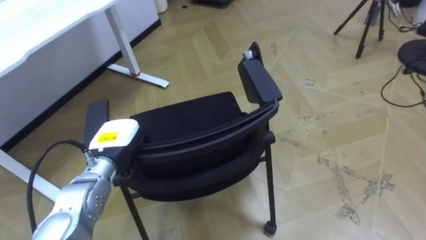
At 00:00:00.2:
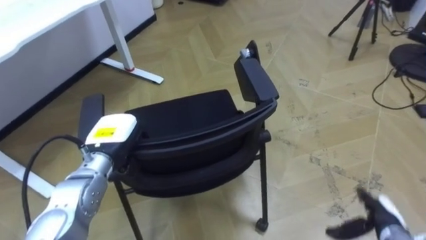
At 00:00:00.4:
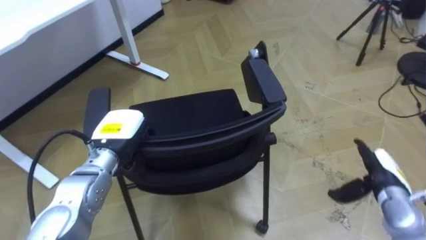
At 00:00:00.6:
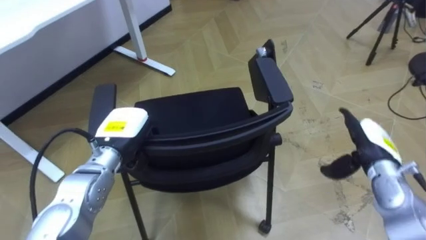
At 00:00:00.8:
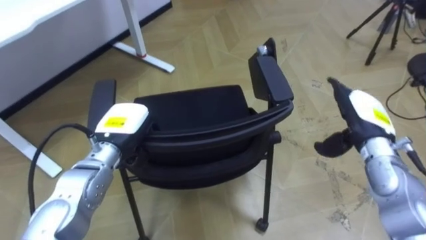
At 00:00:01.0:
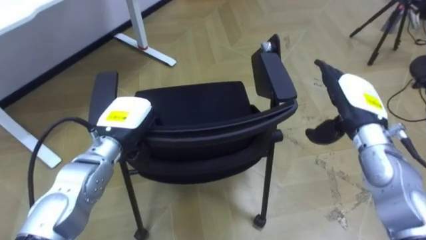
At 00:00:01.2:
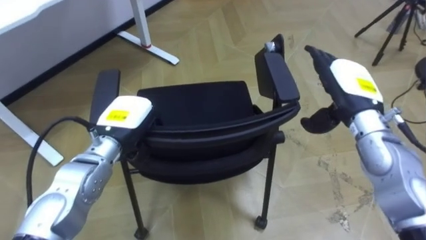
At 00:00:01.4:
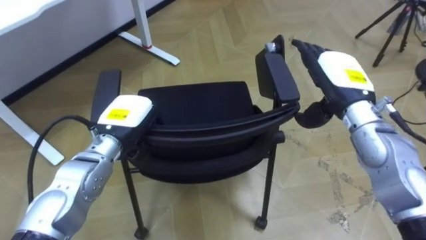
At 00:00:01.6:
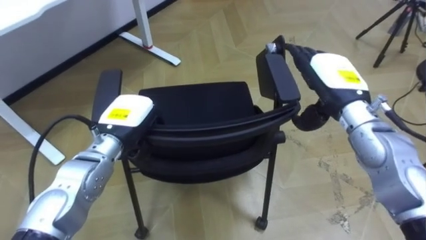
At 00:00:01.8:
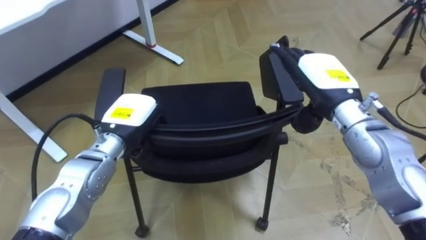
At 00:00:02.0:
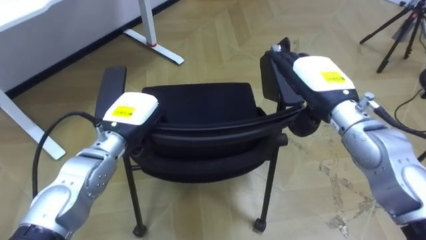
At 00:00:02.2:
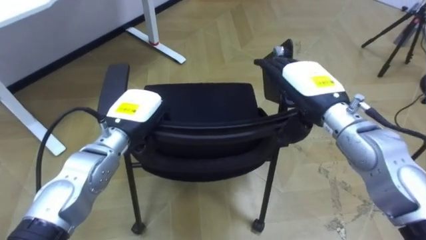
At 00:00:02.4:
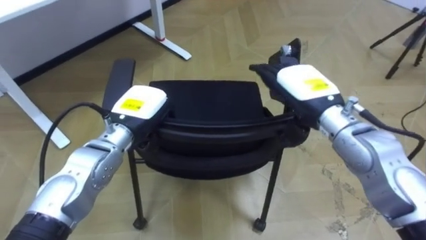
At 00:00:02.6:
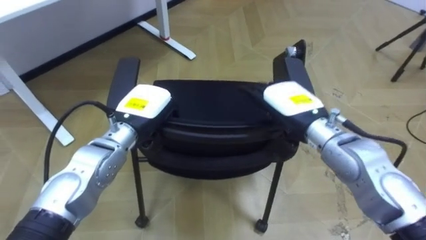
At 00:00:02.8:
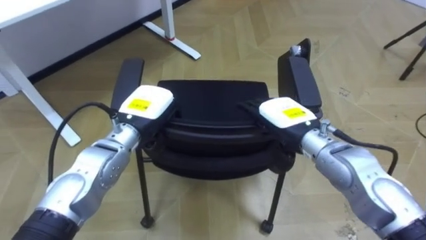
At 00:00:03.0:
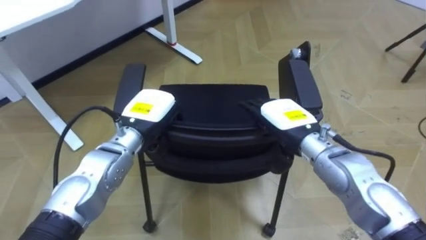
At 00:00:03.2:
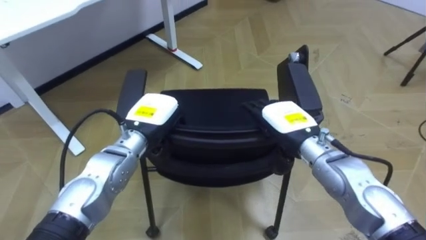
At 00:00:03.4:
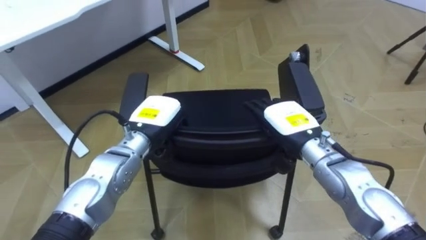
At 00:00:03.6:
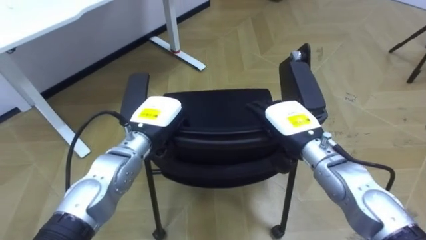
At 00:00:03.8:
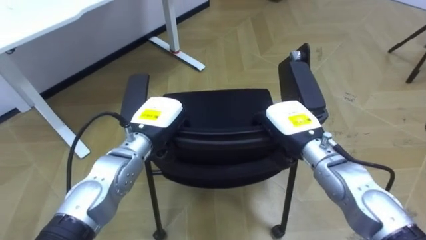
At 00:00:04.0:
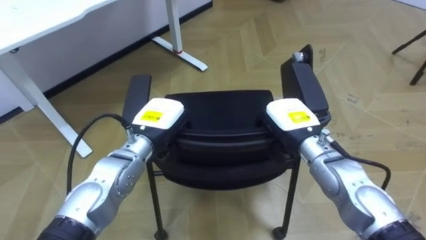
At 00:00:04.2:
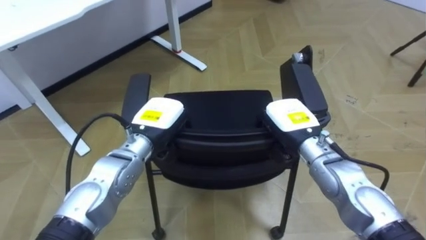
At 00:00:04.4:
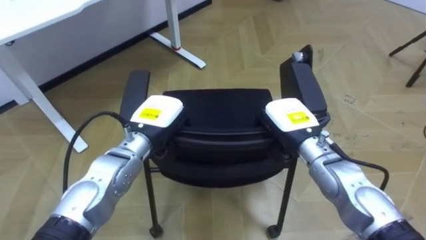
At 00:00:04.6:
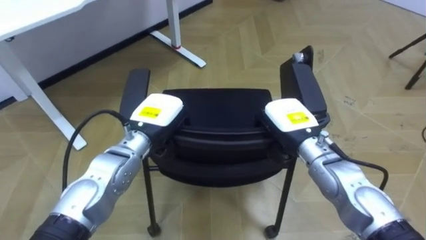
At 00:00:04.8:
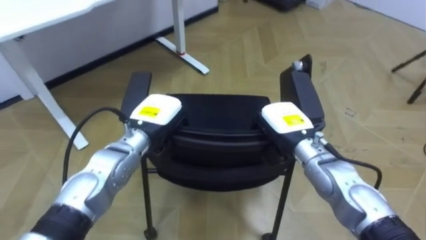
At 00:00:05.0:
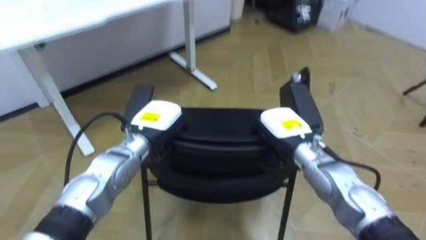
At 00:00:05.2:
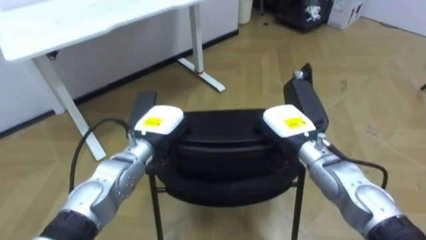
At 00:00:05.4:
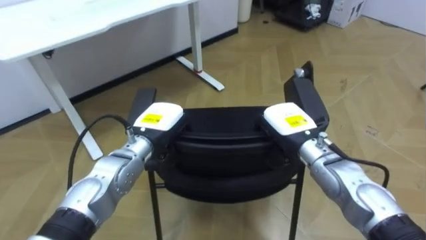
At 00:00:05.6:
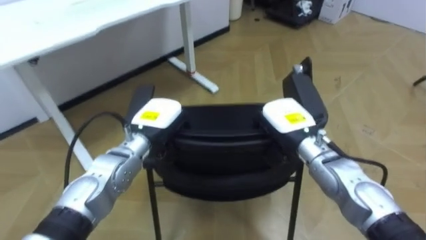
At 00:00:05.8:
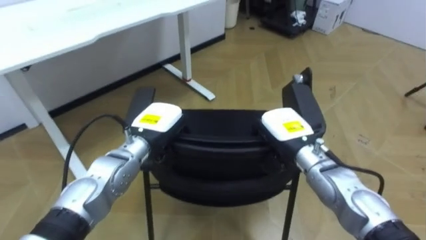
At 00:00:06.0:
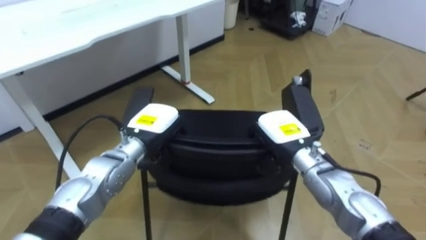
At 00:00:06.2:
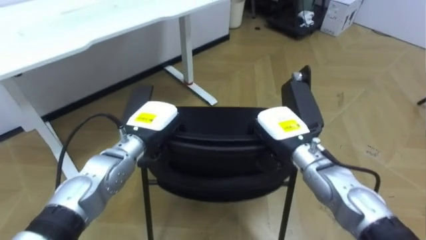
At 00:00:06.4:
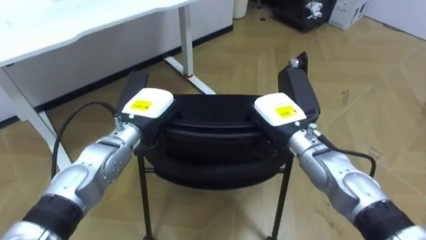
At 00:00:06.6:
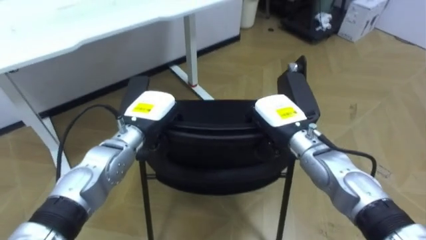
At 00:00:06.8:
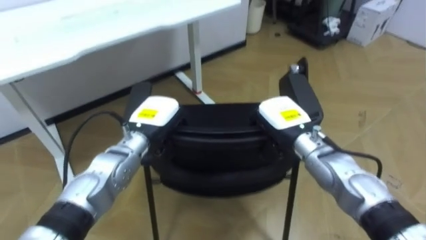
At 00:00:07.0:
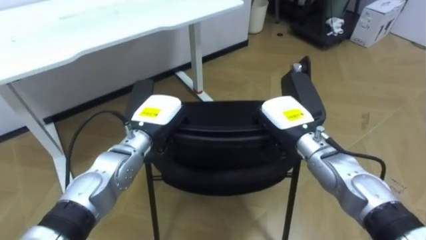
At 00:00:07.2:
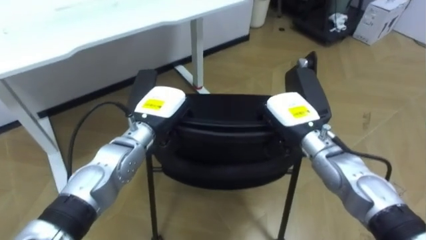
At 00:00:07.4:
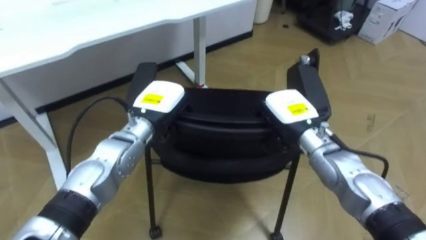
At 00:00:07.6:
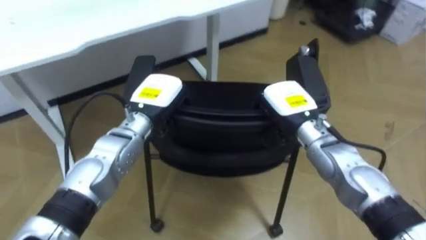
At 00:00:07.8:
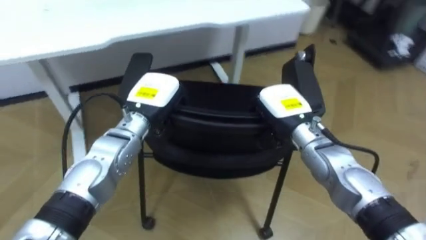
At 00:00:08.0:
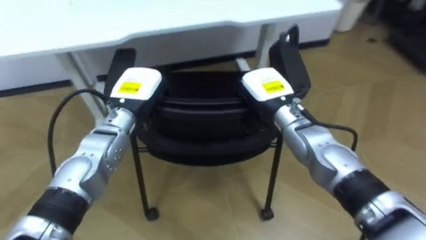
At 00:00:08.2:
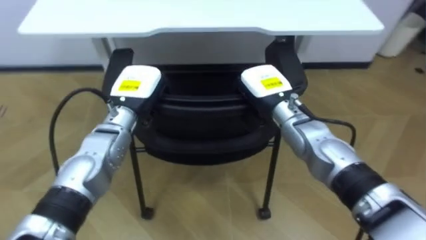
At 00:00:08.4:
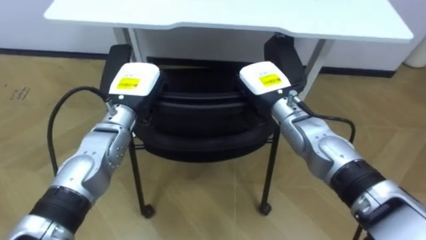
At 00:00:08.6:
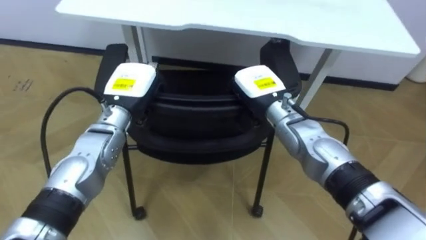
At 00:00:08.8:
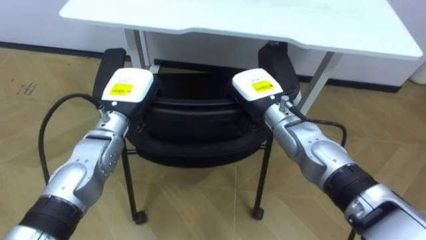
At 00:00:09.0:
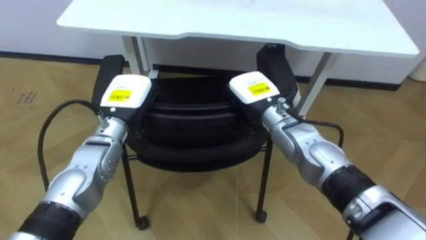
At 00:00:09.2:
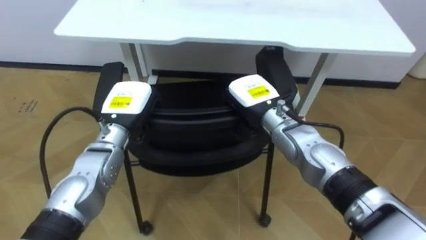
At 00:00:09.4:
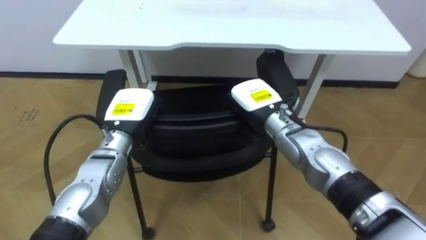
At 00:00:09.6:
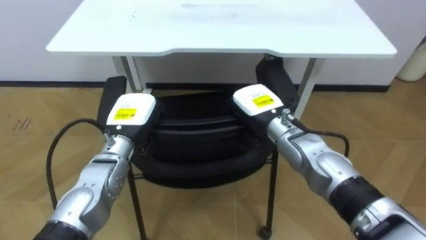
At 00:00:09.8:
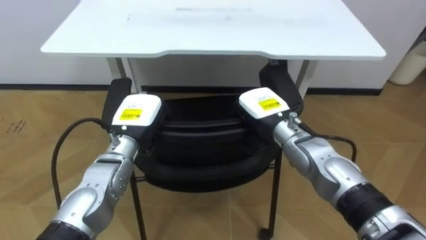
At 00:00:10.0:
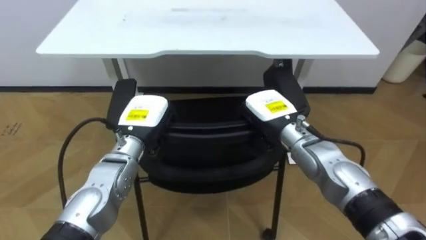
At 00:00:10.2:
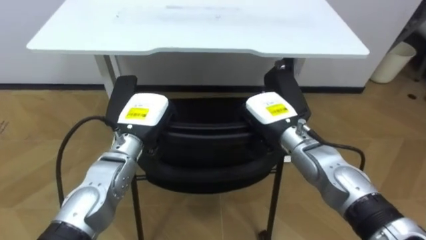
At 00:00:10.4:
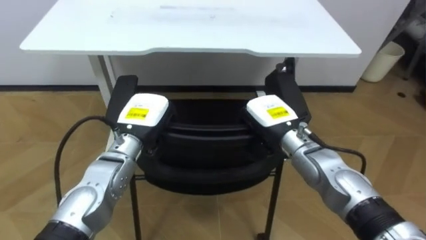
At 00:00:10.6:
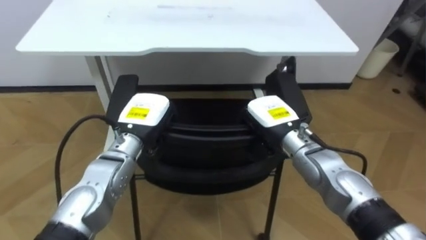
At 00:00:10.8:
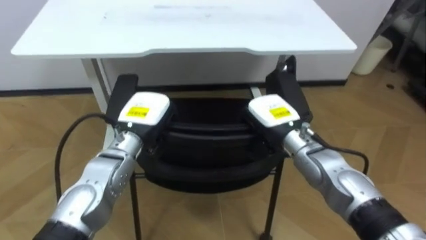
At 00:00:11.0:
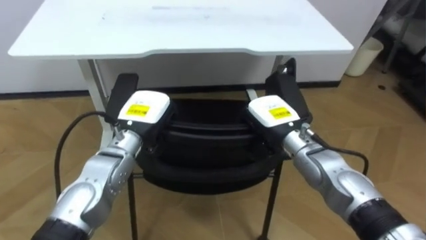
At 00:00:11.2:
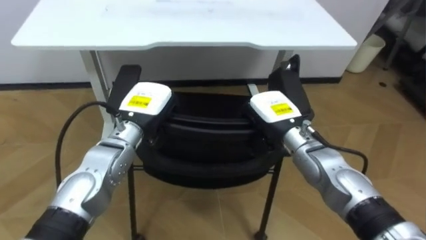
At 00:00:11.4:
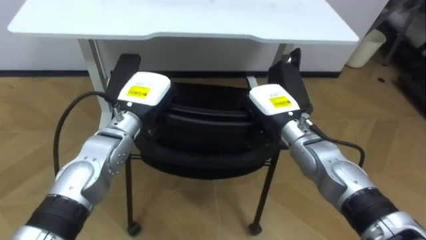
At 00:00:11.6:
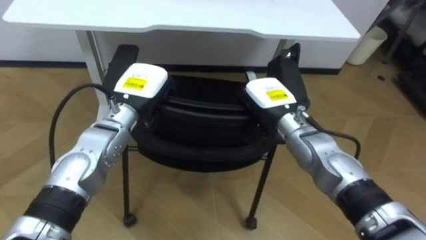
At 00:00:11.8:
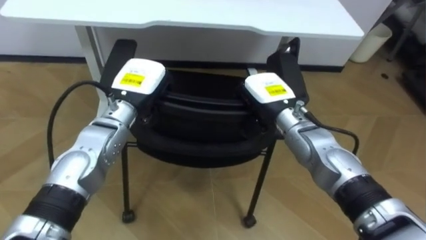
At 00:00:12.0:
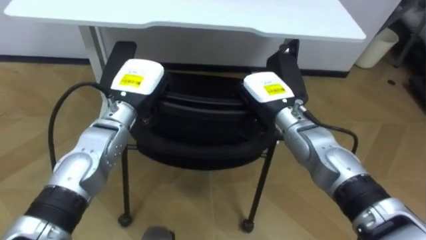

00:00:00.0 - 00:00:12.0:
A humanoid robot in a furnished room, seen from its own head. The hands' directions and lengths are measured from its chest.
Task of the whole recording: Push the chair under the table.
00:00:00.0 - 00:00:01.6: The left hand ends up approximately 5 cm from where it was.
00:00:01.6 - 00:00:03.0: The right hand travels downward and to the left by roughly 10 cm.
00:00:03.0 - 00:00:04.4: The right hand closes its fingers.
00:00:06.0 - 00:00:07.6: The right hand moves roughly 5 cm. Meanwhile the left hand changes place by some 5 cm.
00:00:07.6 - 00:00:09.0: The robot faces about 25 degrees further to its left. The right hand is displaced to the left by approximately 5 cm.
00:00:09.0 - 00:00:10.4: The right hand changes place by approximately 5 cm.
00:00:10.4 - 00:00:12.0: The left hand changes place by some 5 cm.

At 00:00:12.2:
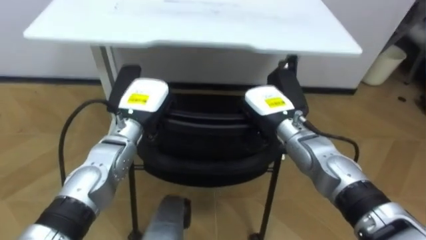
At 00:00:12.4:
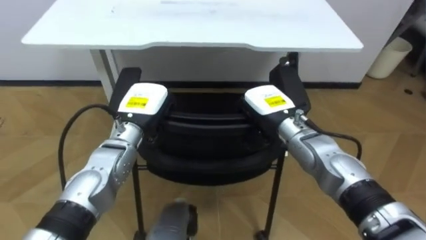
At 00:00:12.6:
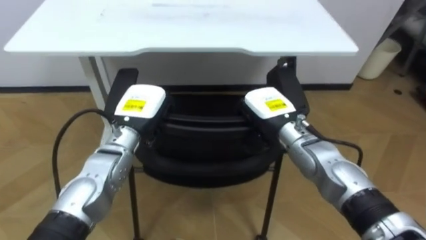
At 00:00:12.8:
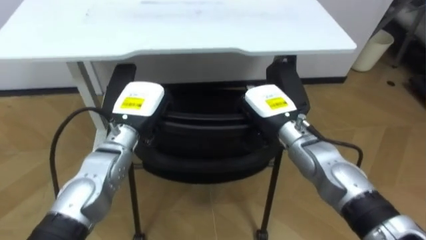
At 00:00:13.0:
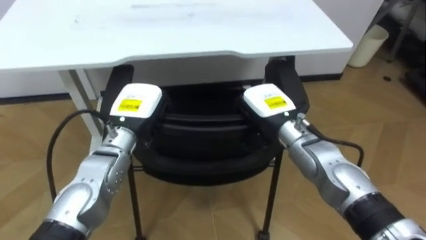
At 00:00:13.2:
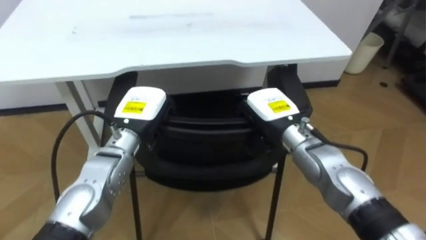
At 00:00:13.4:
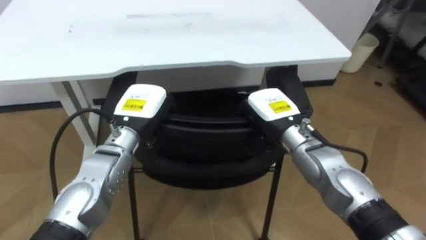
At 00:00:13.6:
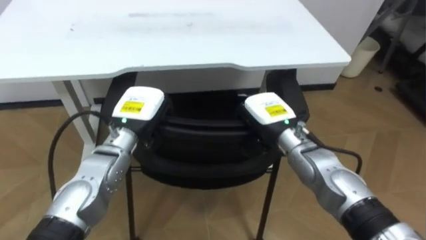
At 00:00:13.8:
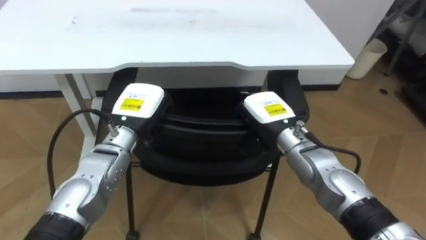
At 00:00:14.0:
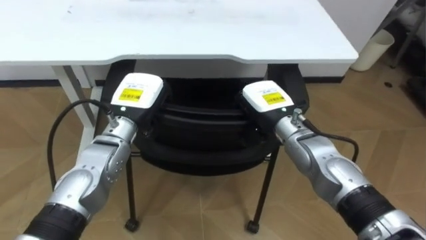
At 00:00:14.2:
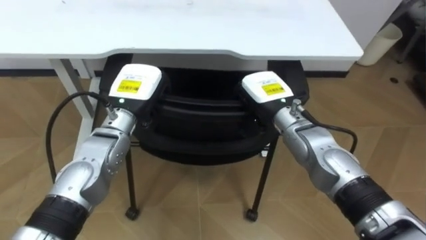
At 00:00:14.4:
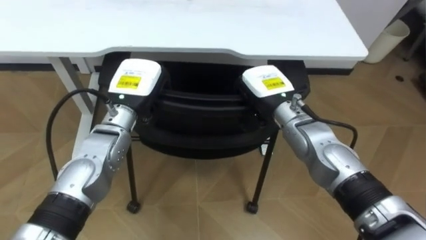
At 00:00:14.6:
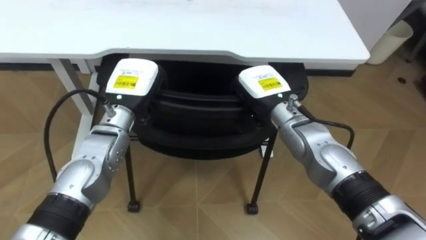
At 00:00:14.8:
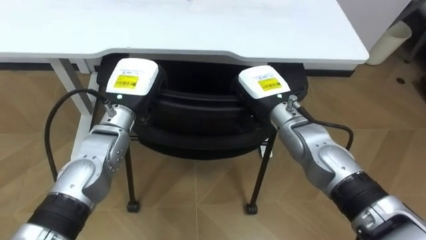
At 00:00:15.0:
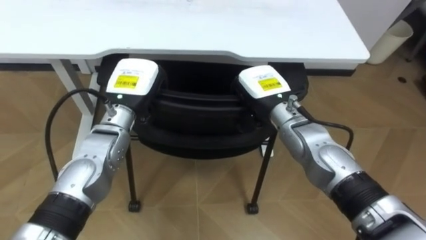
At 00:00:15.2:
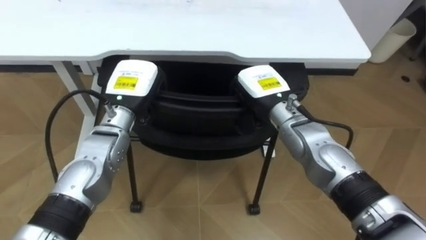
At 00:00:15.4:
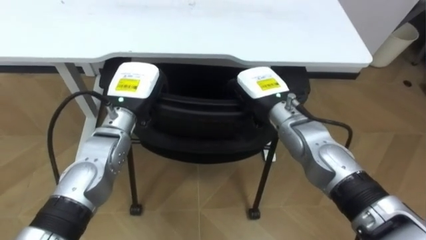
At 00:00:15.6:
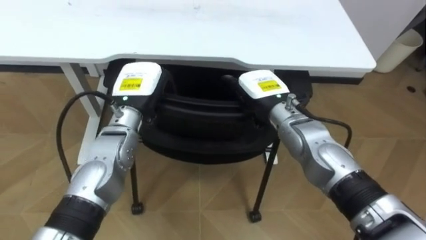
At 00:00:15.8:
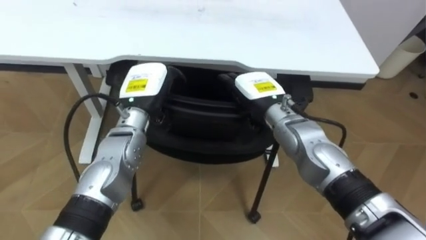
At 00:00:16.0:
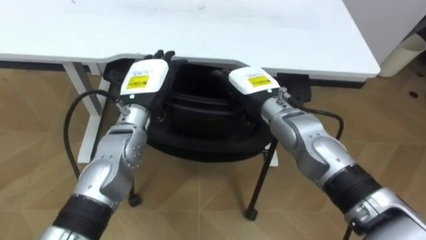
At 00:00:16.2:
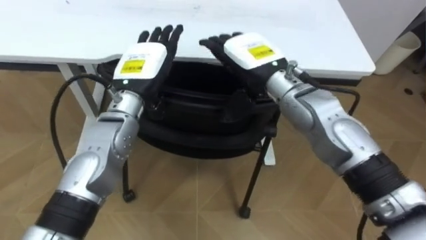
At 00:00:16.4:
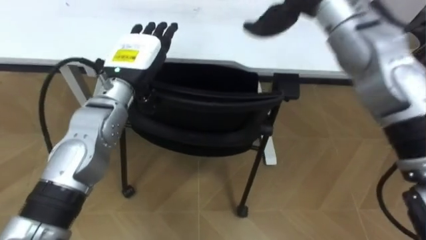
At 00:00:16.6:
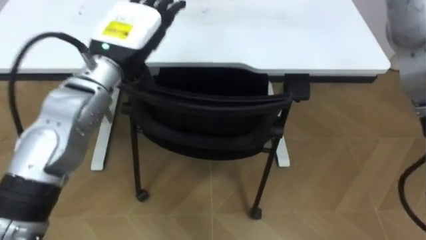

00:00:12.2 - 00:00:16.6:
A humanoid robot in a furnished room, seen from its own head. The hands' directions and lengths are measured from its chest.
Task of the whole recording: Push the chair under the table.
00:00:13.6 - 00:00:15.2: The right hand shifts by some 5 cm.
00:00:15.2 - 00:00:16.6: The left hand moves upward, approximately 10 cm, and opens up.
